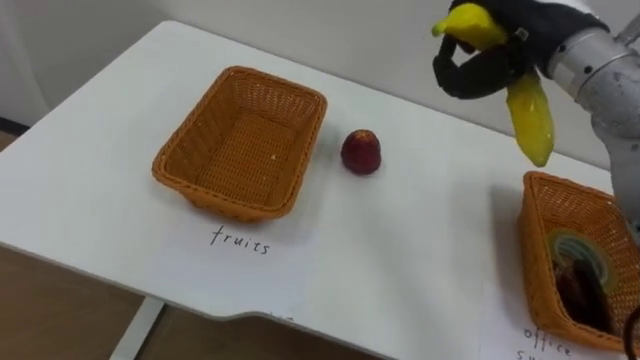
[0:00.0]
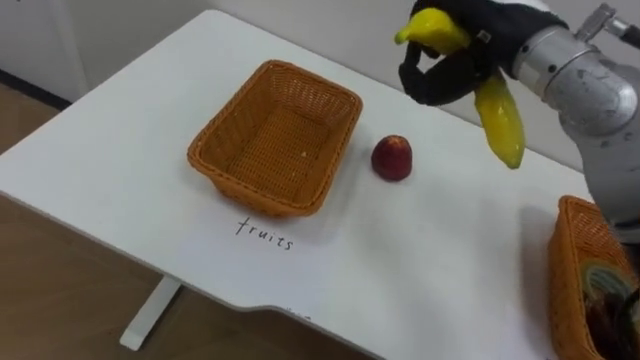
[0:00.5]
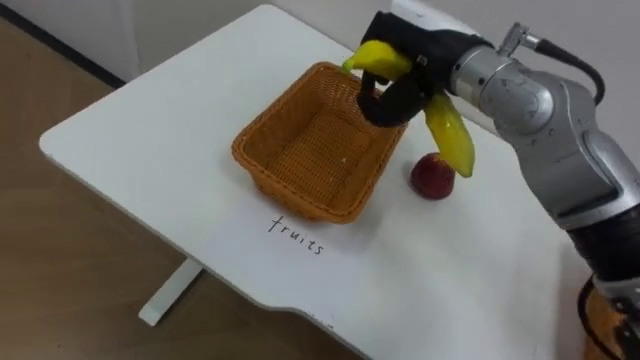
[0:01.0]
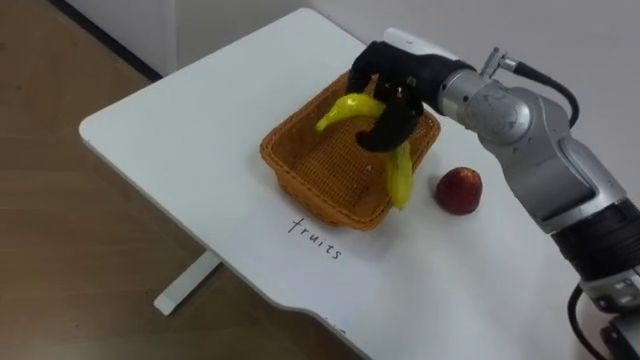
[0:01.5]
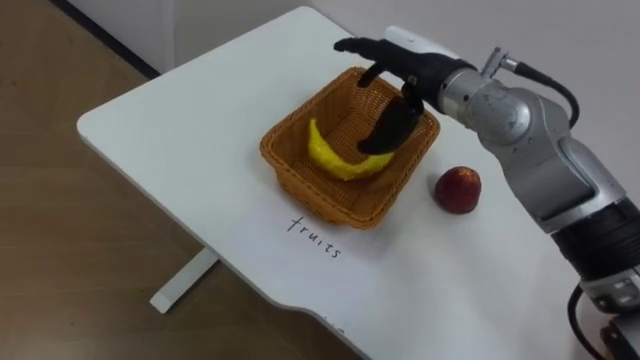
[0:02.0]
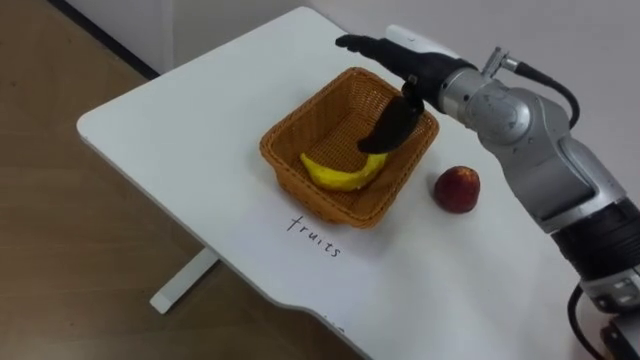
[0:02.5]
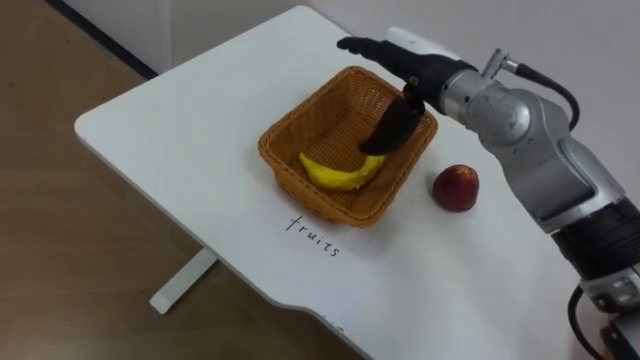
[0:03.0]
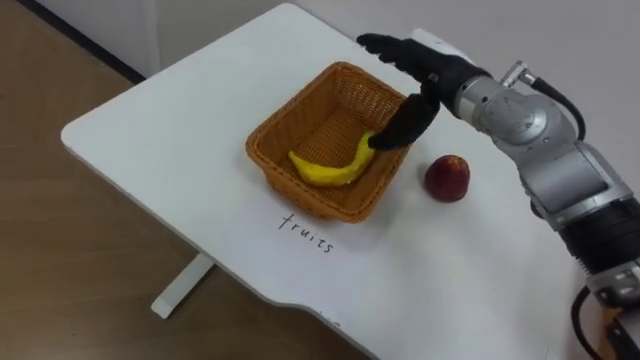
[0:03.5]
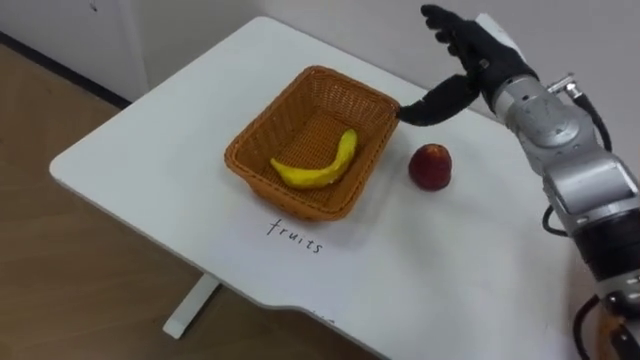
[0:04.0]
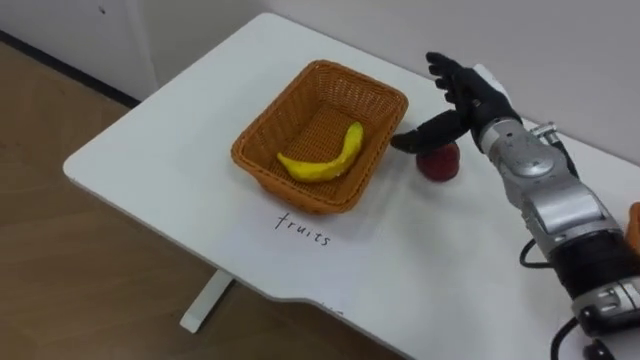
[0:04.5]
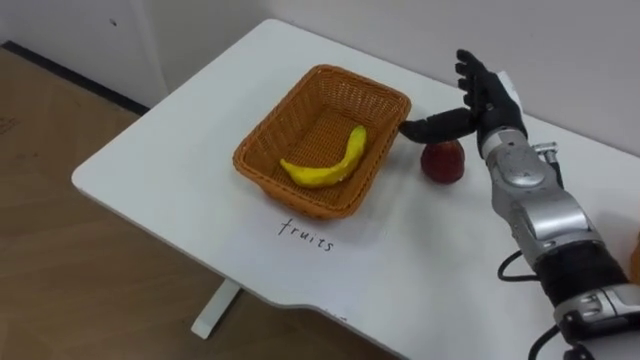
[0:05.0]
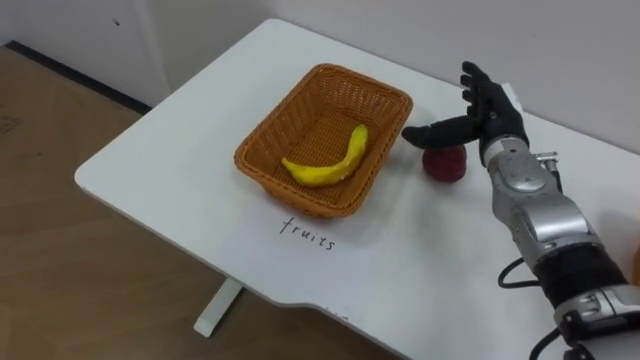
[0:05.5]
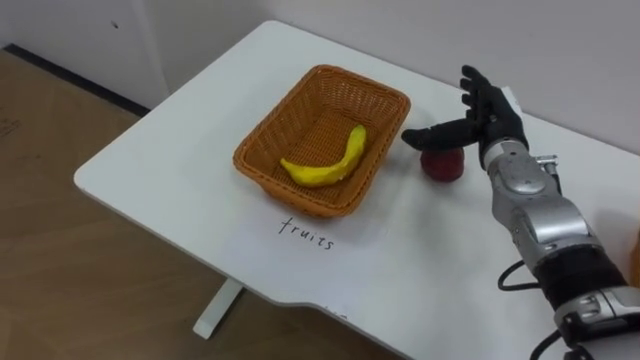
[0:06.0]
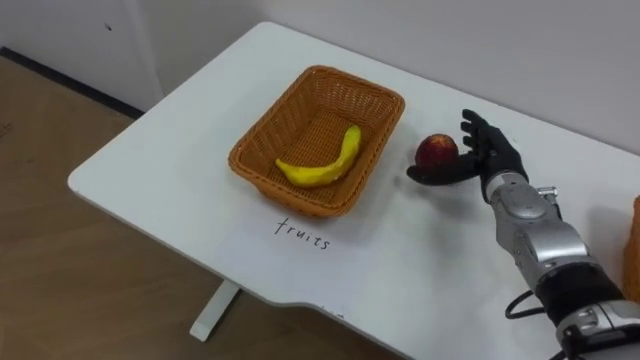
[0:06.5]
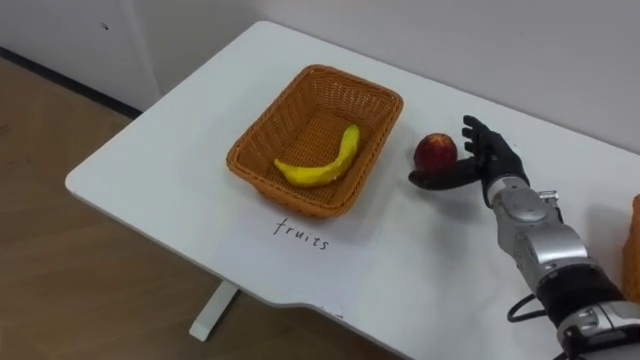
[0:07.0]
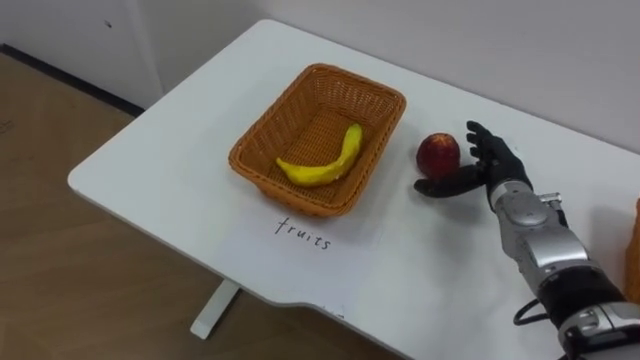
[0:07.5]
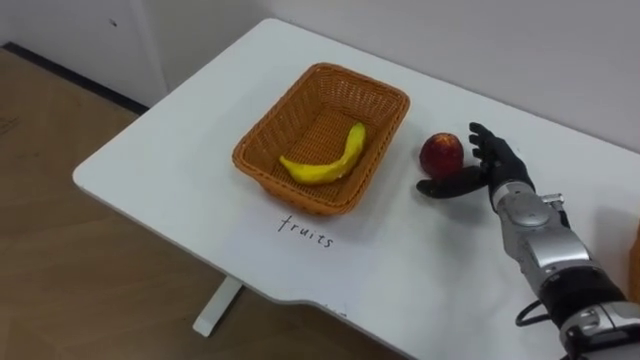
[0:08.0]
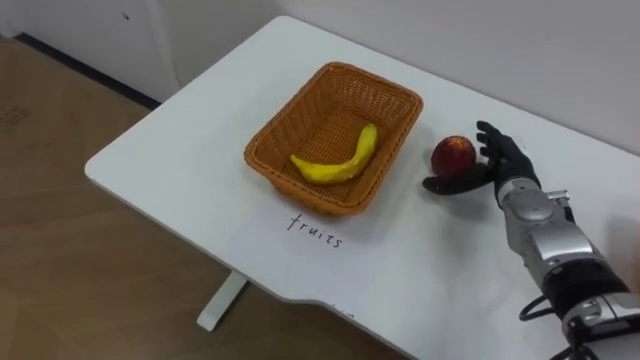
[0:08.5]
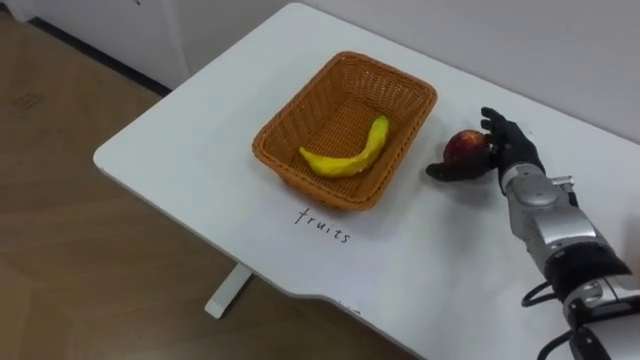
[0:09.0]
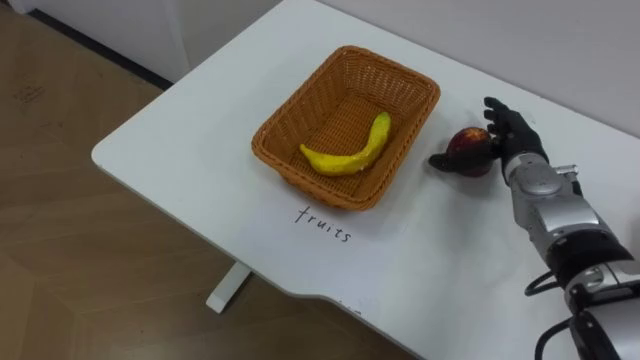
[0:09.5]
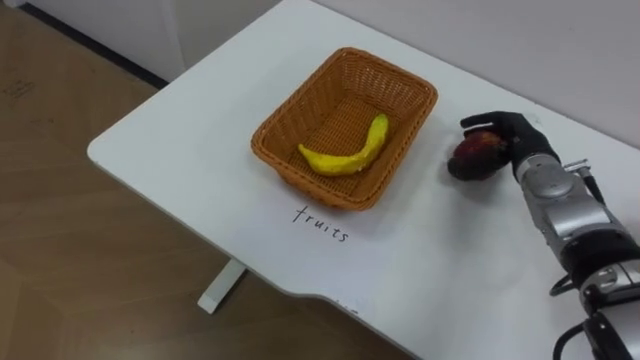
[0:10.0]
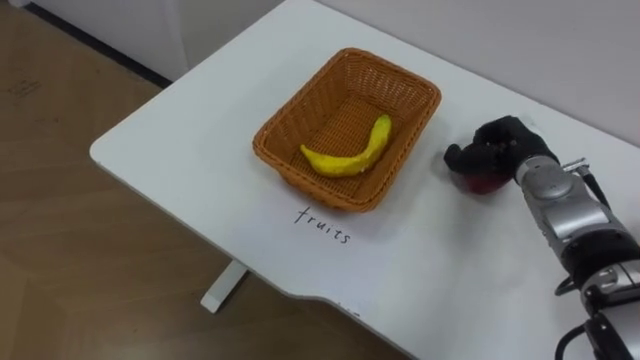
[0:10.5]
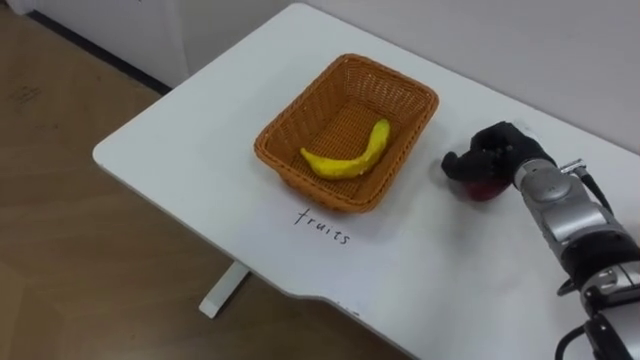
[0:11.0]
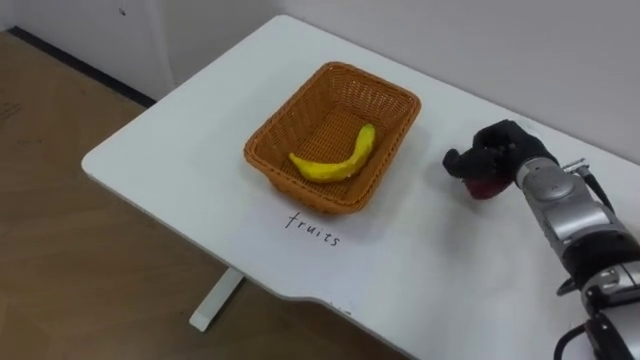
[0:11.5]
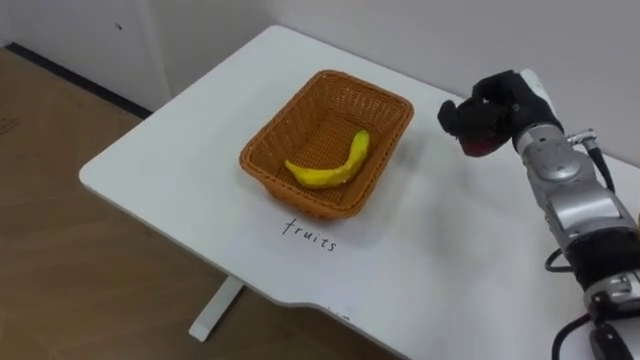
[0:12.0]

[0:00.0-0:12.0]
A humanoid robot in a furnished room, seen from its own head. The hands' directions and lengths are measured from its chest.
Task of the whole recording: Separate the items on the table and place them into the two baskets.
0:00.0 to 0:02.0: The right hand is displaced to the left and downward by about 10 cm, and opens.
0:02.0 to 0:04.0: The right hand heads to the right, covering some 10 cm.
0:04.0 to 0:06.0: The right hand travels downward by some 10 cm.
0:06.0 to 0:08.0: The right hand heads downward, covering about 5 cm.
0:08.0 to 0:10.0: The right hand closes.
0:10.0 to 0:12.0: The right hand heads upward, covering about 5 cm, and closes its fingers.

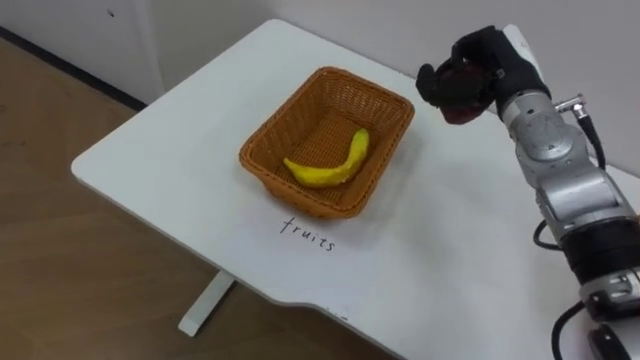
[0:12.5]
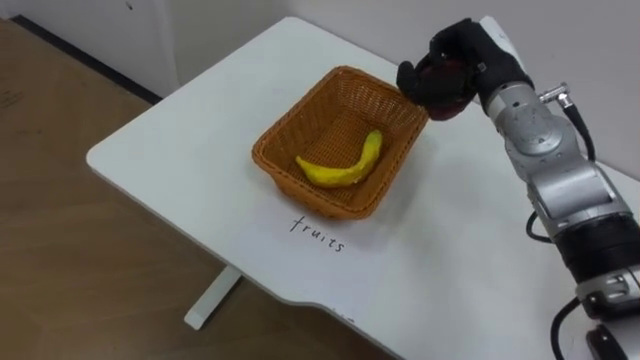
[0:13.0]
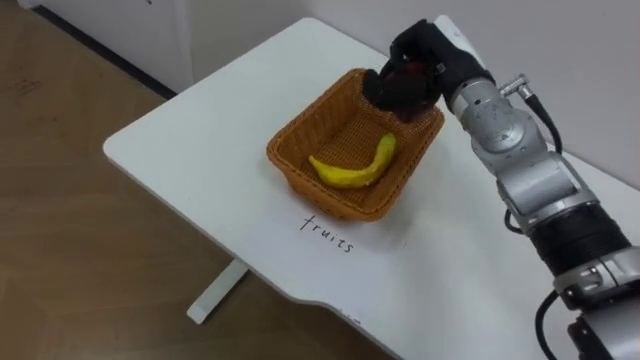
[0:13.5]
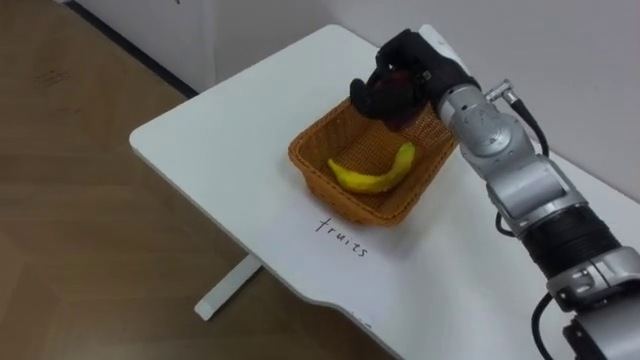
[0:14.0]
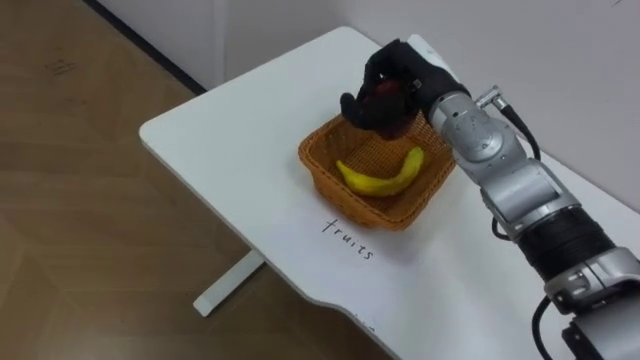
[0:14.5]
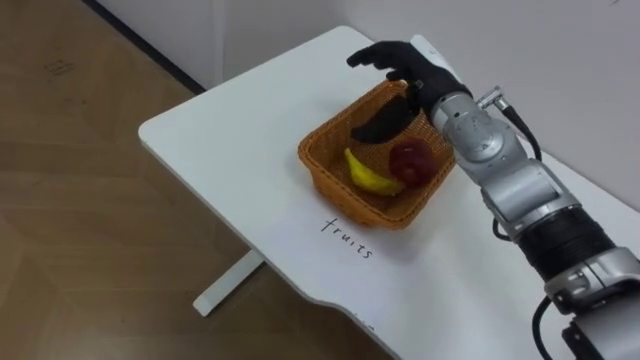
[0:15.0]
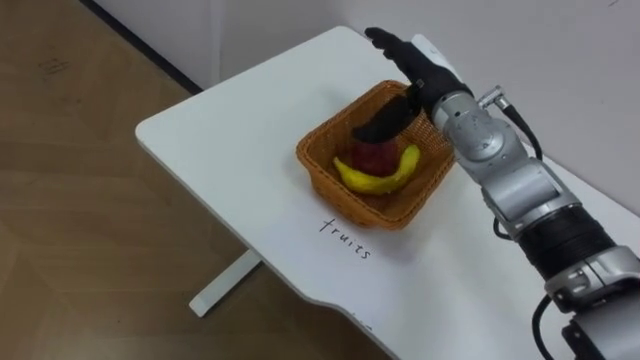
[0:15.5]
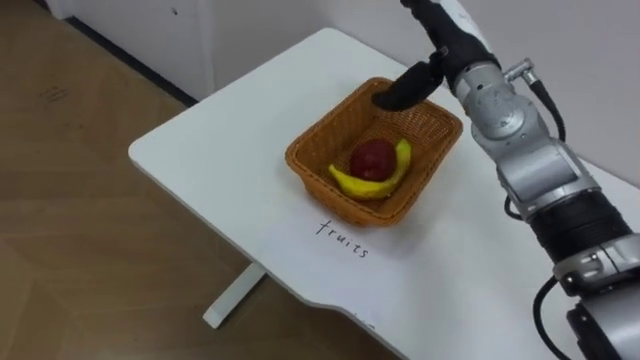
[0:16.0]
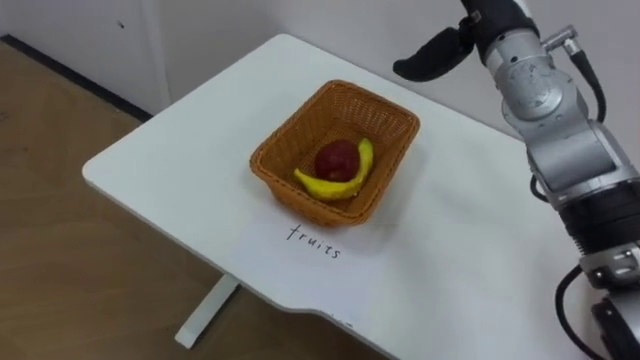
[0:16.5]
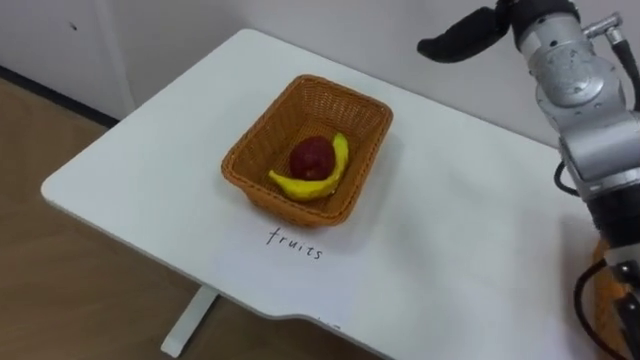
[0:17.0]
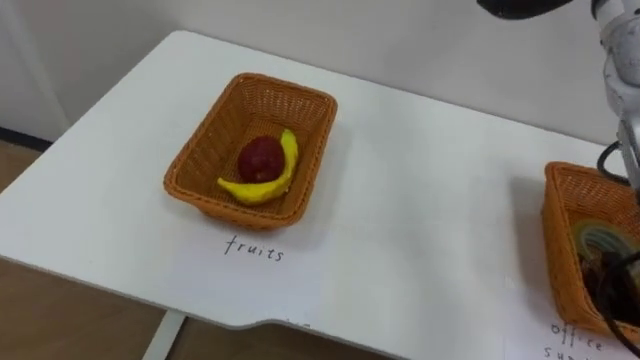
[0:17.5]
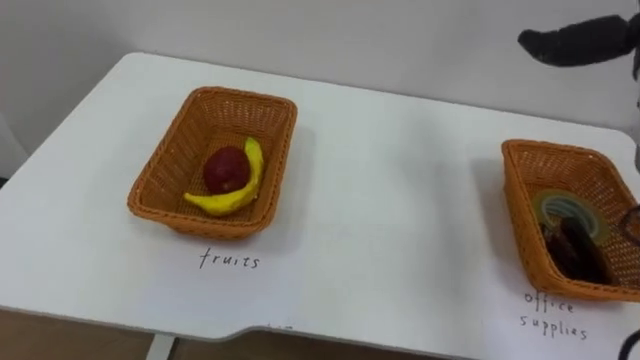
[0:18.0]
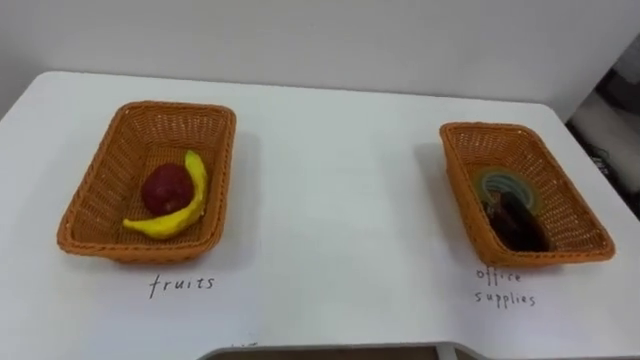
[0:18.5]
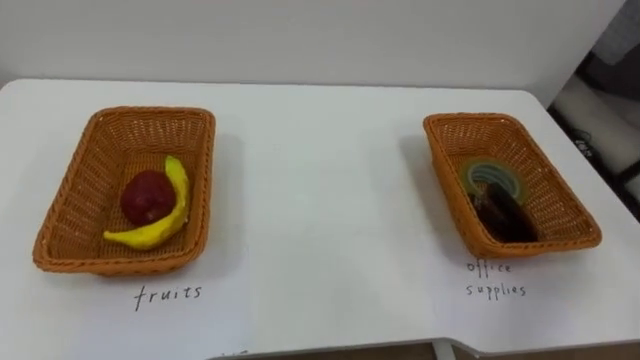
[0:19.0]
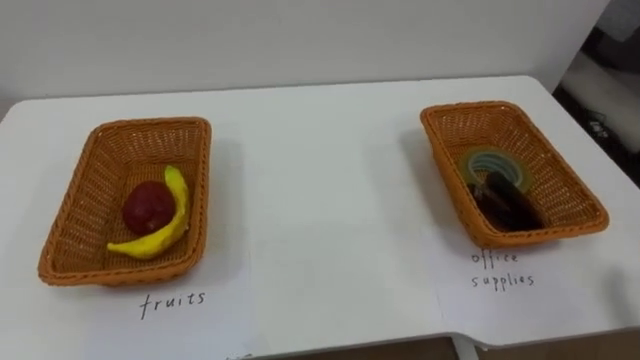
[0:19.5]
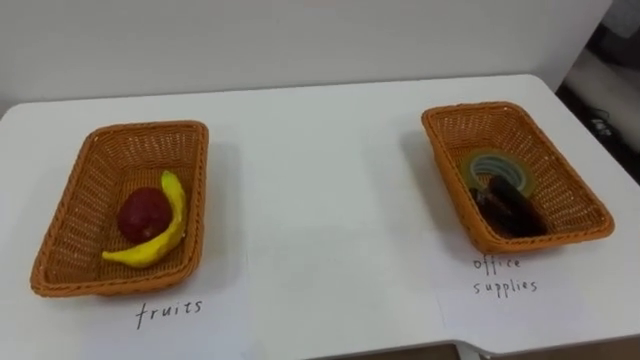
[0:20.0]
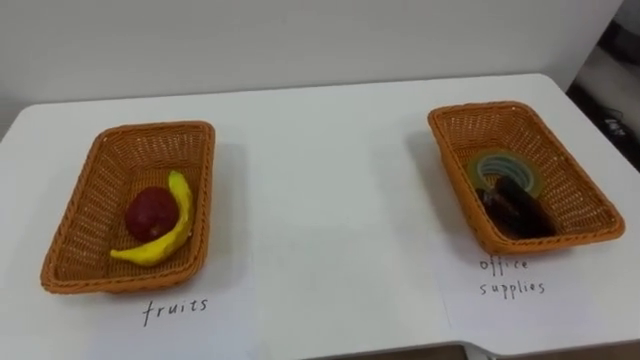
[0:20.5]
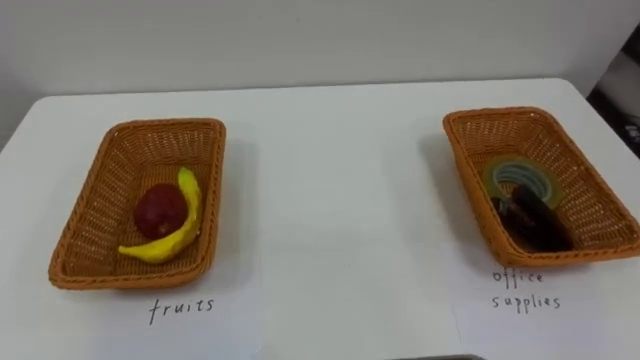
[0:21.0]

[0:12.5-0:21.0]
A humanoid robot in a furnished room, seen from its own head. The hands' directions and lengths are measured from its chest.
Task of the whole recording: Separate the items on the table and place them into the two baskets.
0:12.5 to 0:14.5: The right hand goes some 10 cm to the left.
0:14.5 to 0:16.5: The right hand moves upward and to the right, about 10 cm, and opens.
